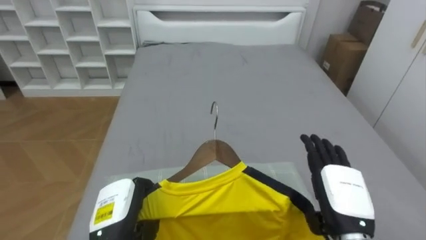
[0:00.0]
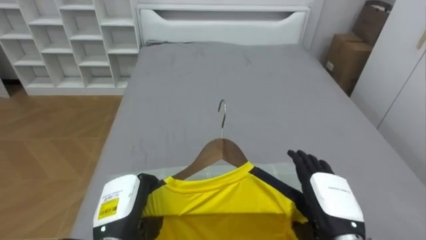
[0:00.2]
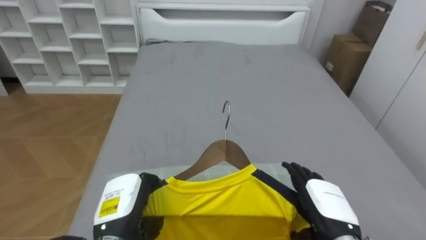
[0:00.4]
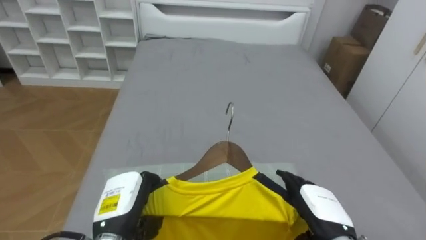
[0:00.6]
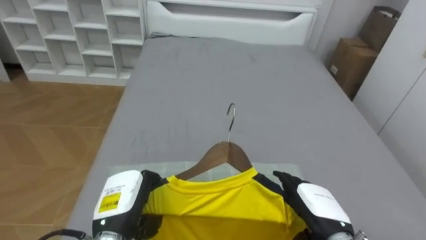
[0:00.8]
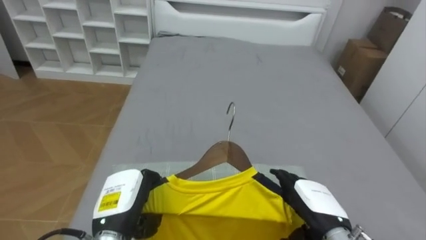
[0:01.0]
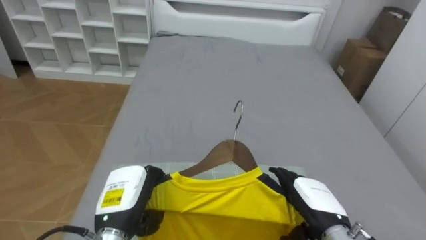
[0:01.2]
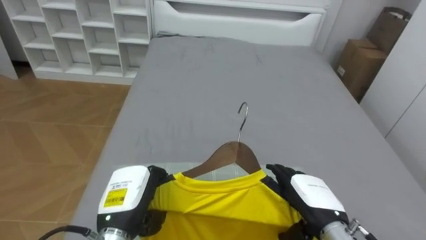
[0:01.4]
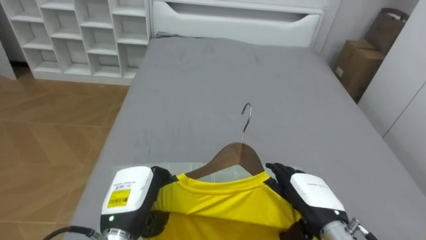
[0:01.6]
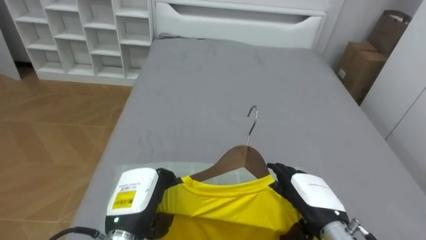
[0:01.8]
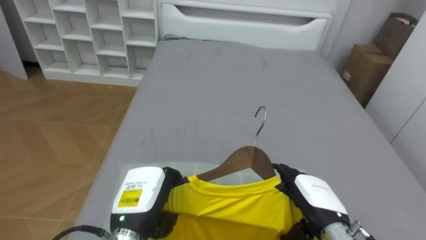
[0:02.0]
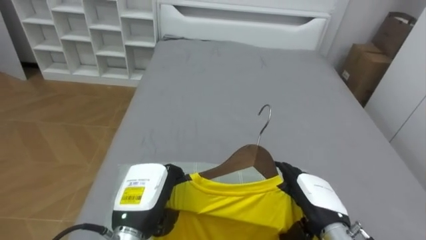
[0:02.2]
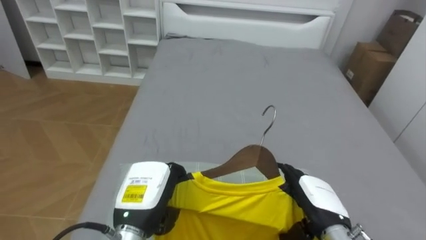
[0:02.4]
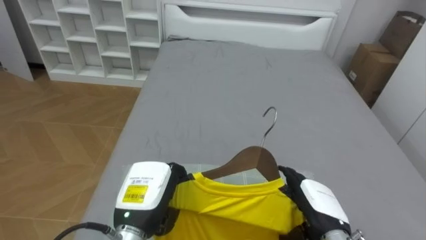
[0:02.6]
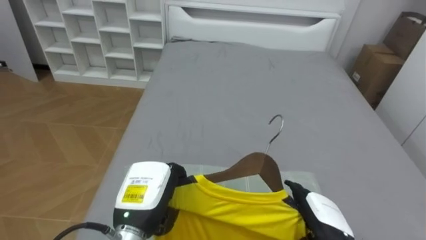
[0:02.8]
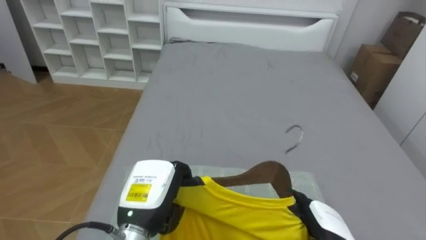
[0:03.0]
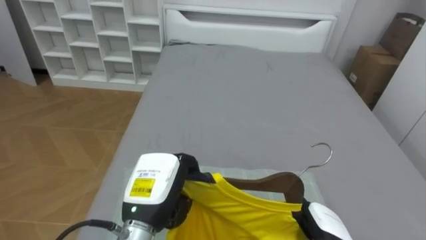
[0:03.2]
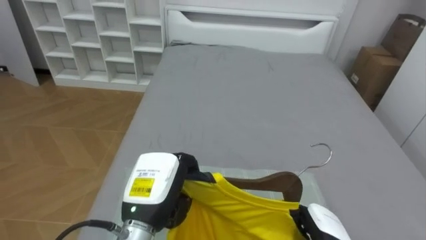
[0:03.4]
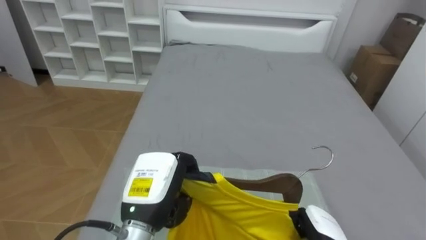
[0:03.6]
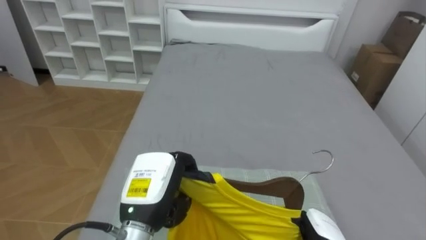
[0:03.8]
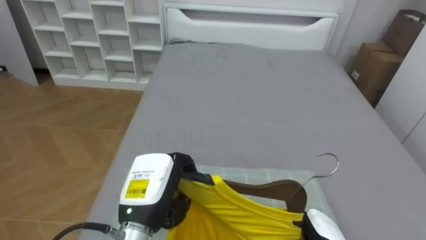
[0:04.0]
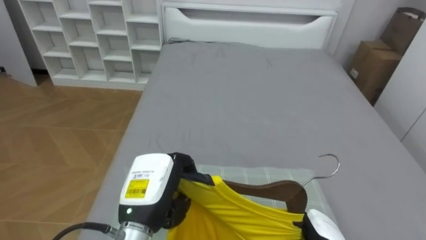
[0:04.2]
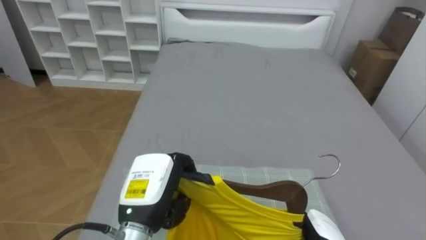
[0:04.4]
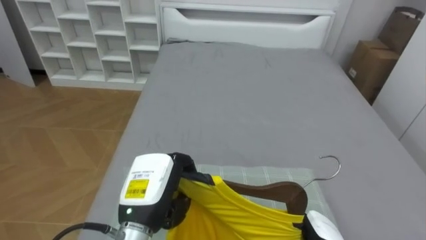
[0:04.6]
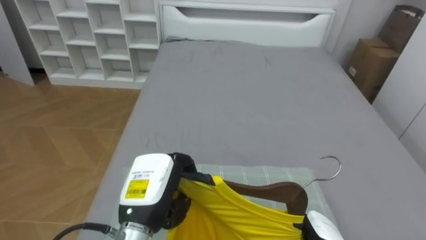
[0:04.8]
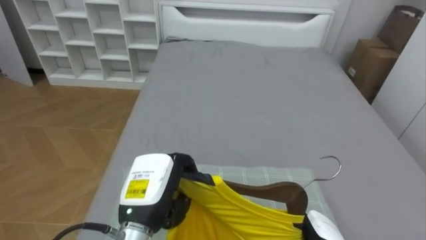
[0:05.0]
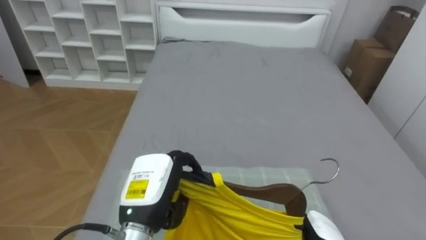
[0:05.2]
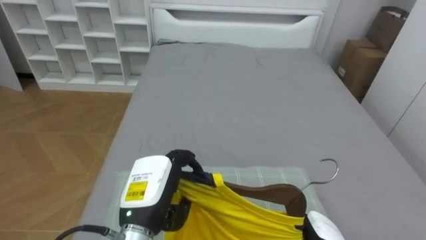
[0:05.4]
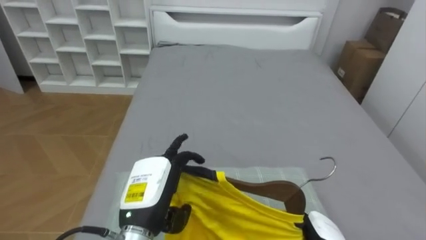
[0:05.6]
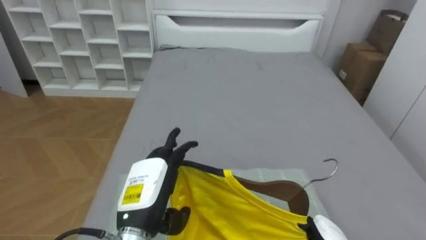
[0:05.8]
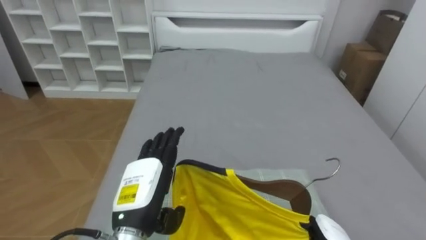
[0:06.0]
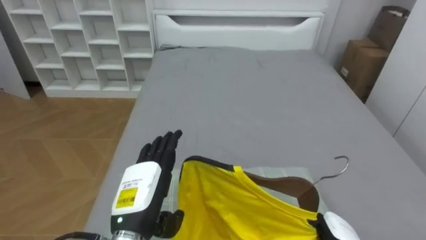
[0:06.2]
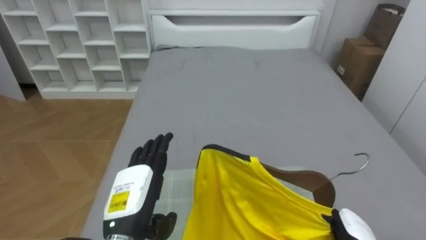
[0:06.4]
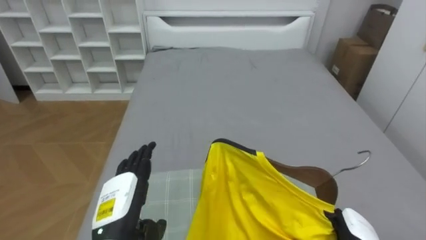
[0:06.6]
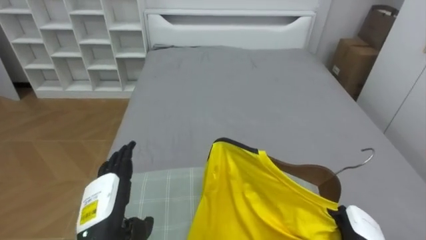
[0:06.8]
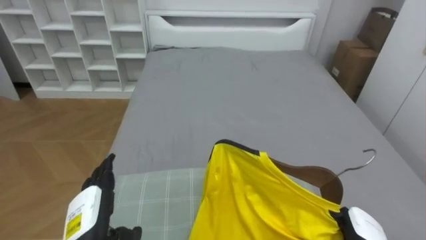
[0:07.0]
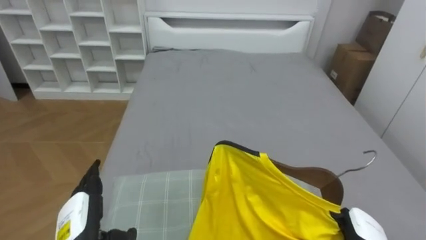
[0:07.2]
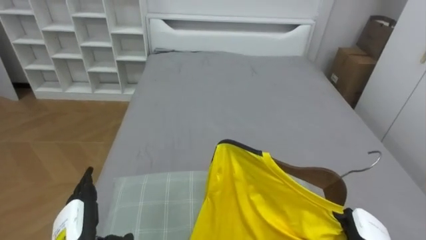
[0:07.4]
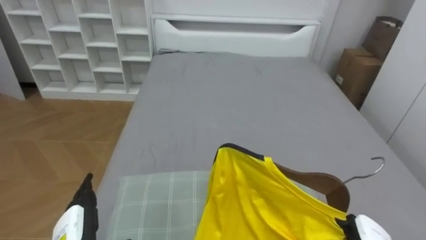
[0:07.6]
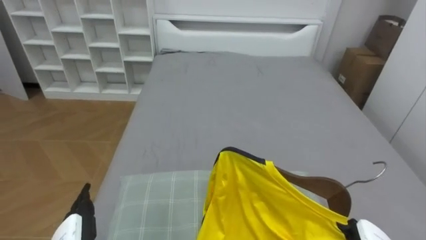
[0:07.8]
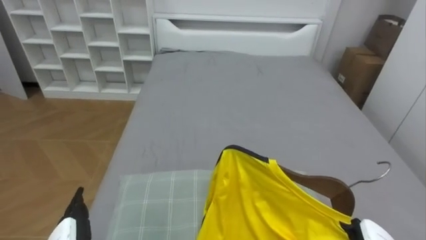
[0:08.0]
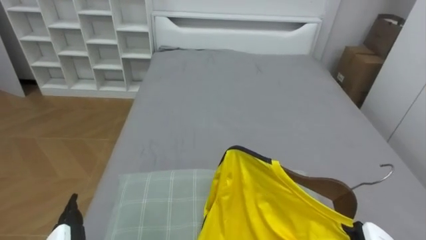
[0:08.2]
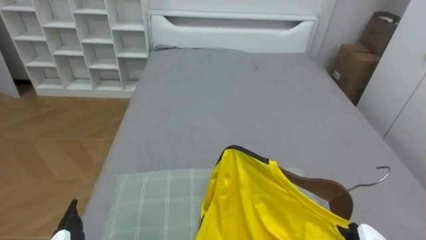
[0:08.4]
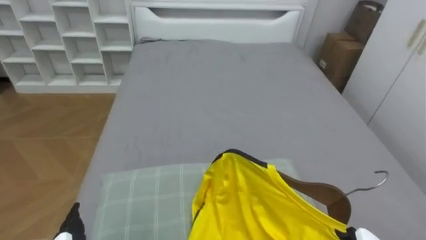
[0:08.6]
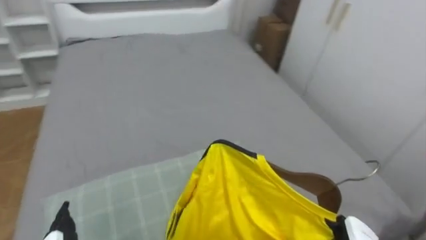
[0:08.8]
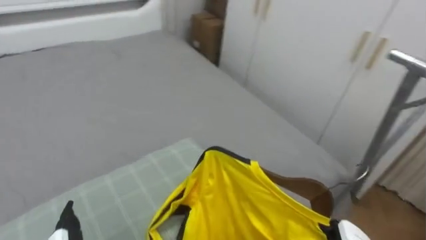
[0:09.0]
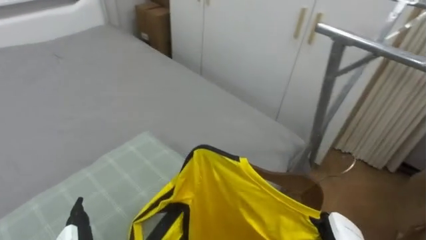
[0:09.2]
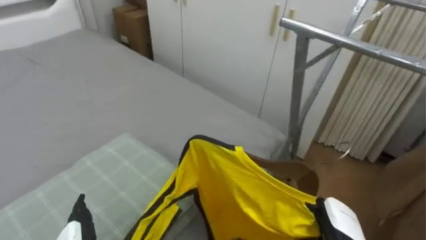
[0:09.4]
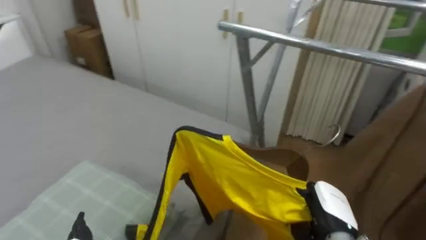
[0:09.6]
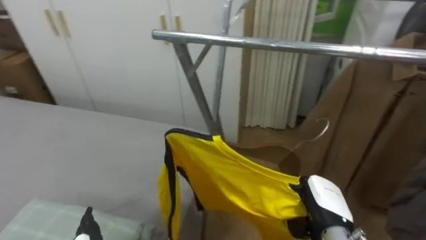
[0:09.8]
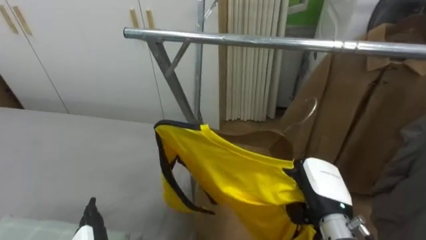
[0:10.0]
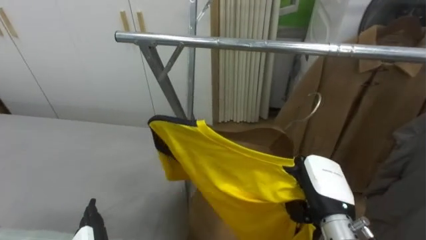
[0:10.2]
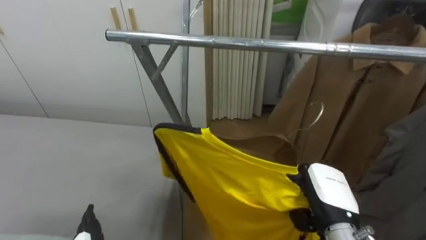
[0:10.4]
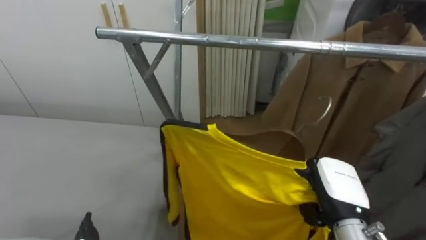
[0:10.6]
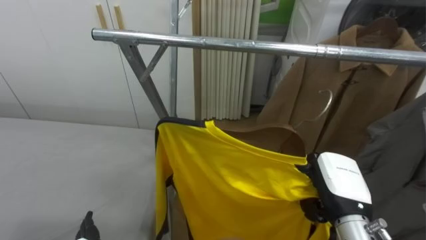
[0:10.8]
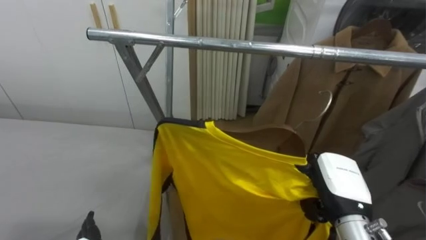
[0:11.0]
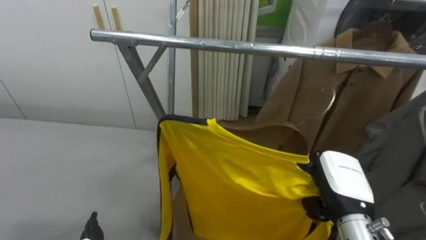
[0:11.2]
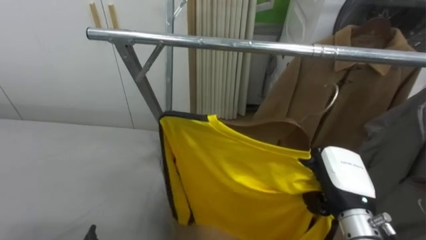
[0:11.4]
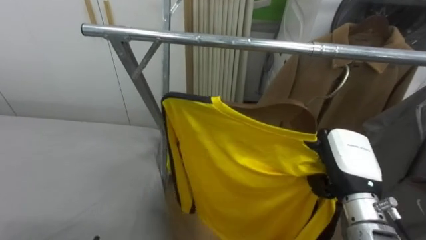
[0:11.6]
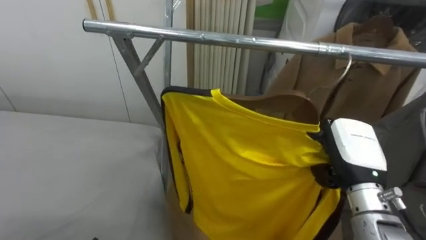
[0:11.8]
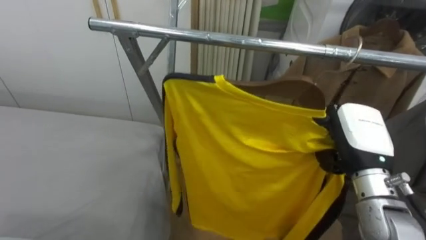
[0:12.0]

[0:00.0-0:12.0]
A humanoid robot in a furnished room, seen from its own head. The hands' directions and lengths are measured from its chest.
Task of the whole recording: Pick up the yellow shirt on the bed and hang it on the clothes rack on the right.
0:00.0 to 0:01.6: The right hand changes place by some 5 cm.
0:01.6 to 0:03.0: The right hand travels downward by about 5 cm.
0:03.0 to 0:04.4: The right hand closes.
0:04.4 to 0:06.0: The left hand opens.
0:06.0 to 0:07.6: The right hand shifts approximately 5 cm to the right; the left hand moves to the left and downward, approximately 15 cm.
0:07.6 to 0:09.0: The robot turns to its right by approximately 35 degrees.
0:09.0 to 0:10.4: The robot faces about 50 degrees further to its right.
0:10.4 to 0:12.0: The right hand travels upward by approximately 10 cm.

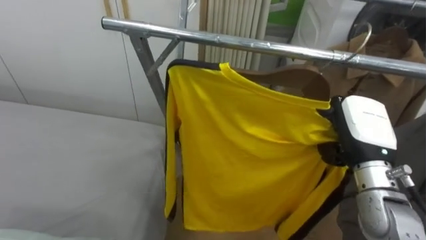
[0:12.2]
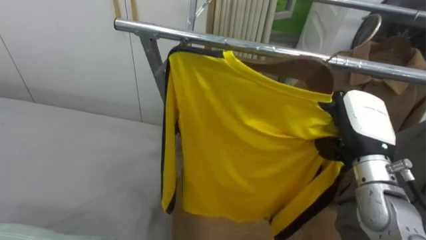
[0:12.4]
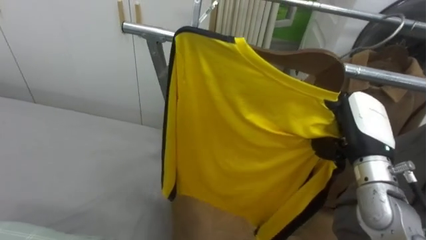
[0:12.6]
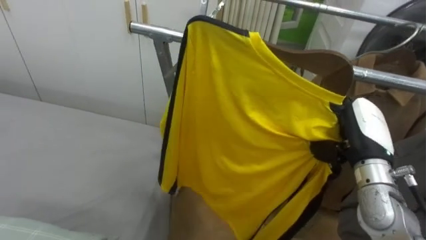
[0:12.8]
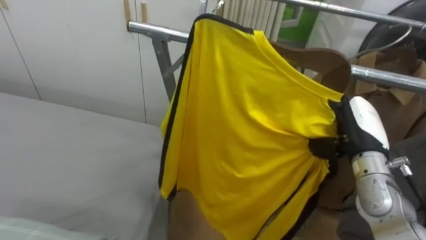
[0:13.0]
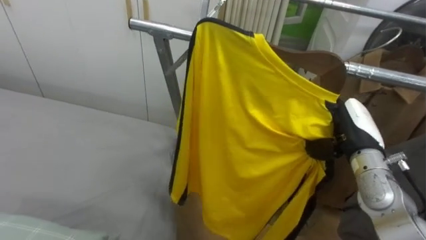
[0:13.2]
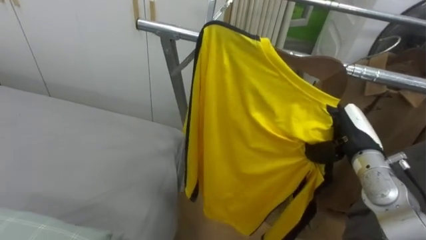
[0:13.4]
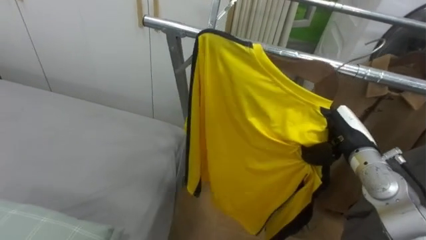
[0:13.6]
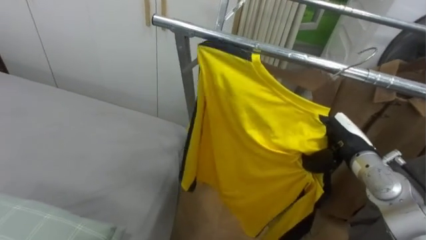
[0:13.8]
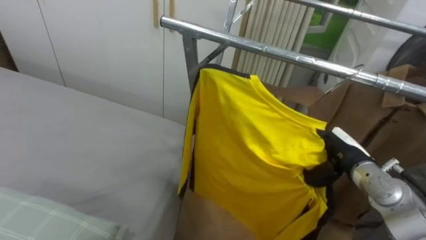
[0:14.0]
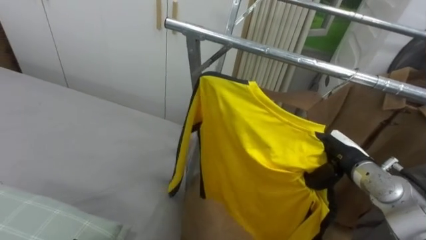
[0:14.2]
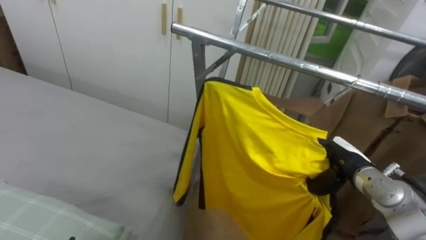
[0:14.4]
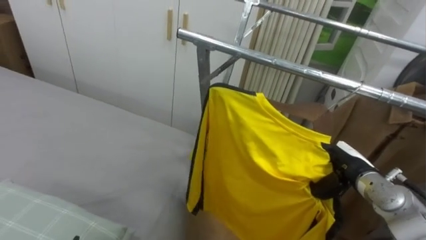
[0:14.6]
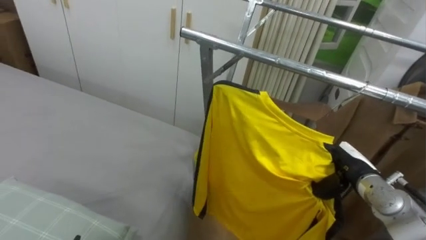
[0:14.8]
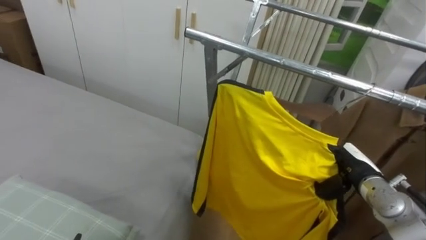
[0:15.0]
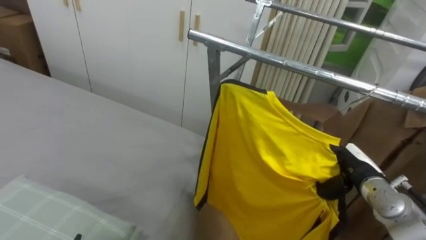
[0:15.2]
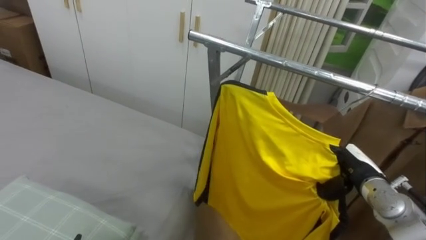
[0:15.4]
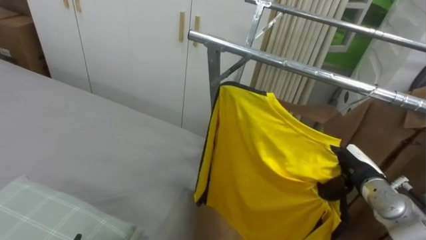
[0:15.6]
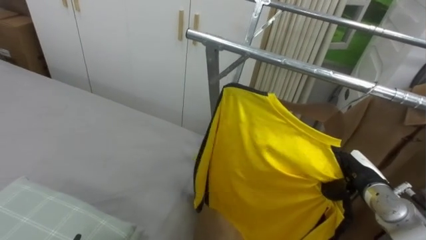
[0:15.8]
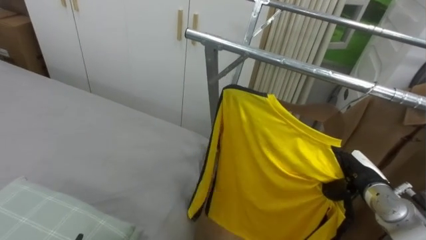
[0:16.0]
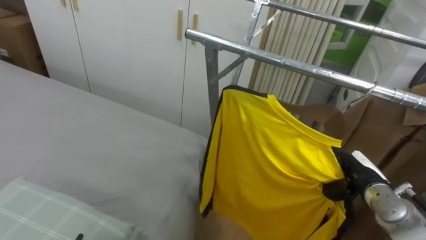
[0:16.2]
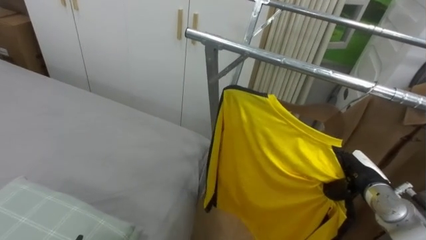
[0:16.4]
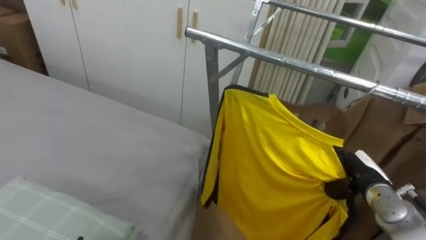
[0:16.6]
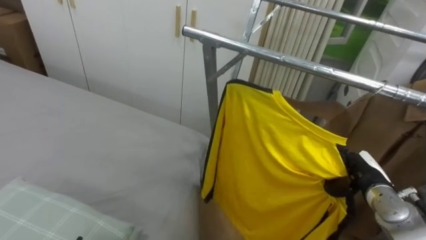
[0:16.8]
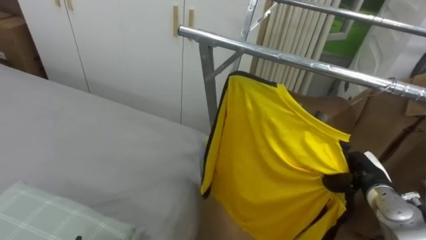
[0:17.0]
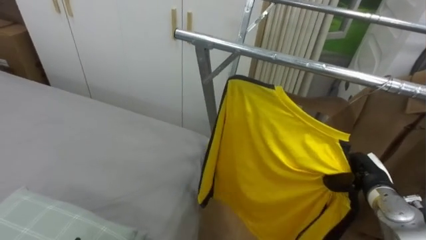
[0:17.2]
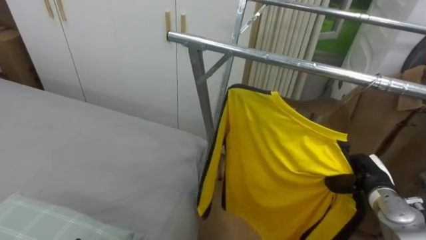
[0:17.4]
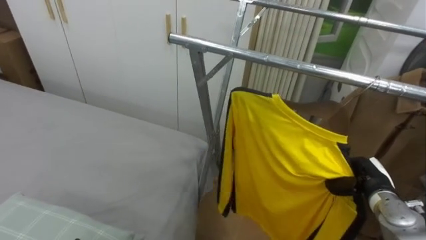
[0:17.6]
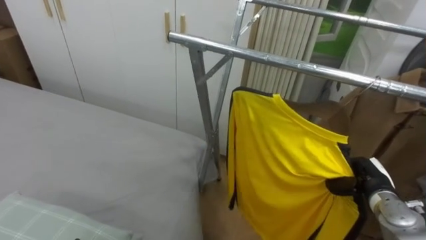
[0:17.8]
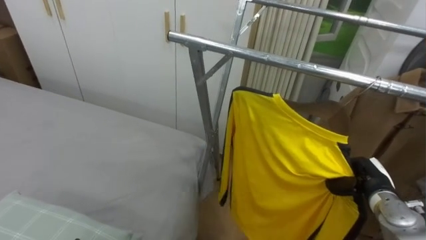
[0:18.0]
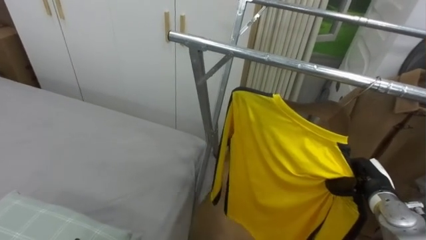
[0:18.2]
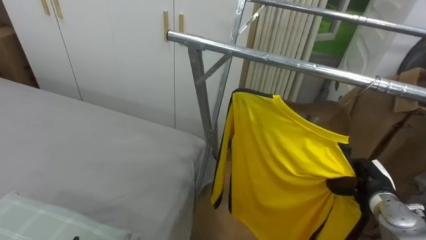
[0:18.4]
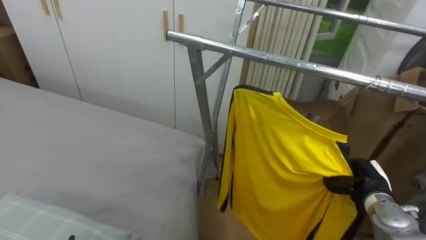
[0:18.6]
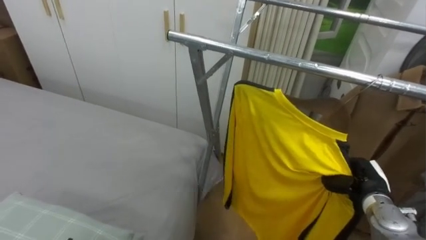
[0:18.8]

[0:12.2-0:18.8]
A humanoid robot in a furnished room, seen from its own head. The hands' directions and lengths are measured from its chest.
Task of the whole recording: Pick up the yellow shirt on the bed and hang it on the clothes rack on the right.
0:12.2 to 0:13.8: The right hand shifts roughly 5 cm downward.
0:13.8 to 0:15.4: The right hand travels downward by about 5 cm.
